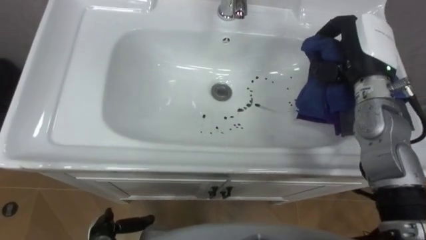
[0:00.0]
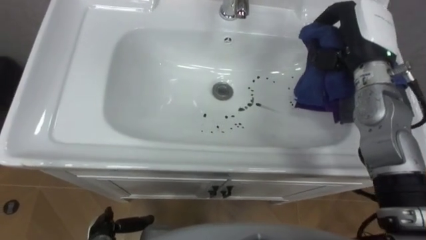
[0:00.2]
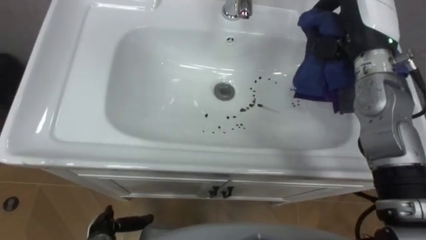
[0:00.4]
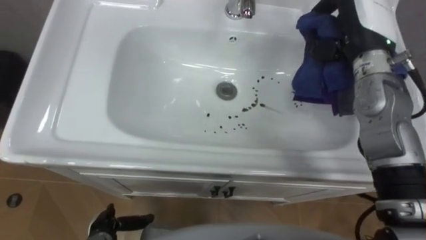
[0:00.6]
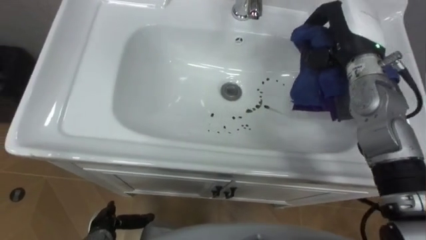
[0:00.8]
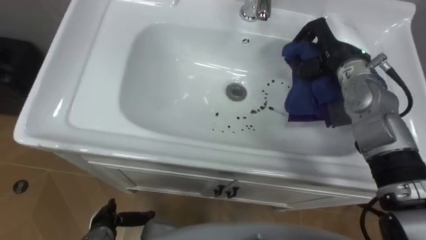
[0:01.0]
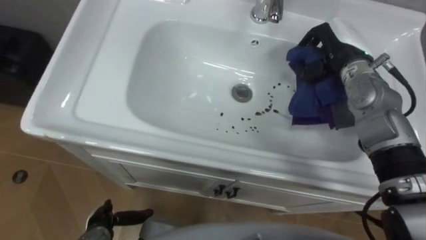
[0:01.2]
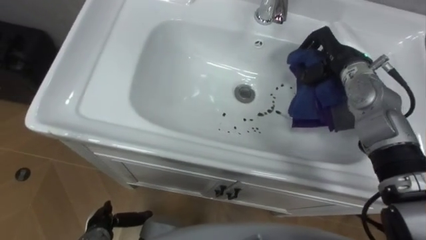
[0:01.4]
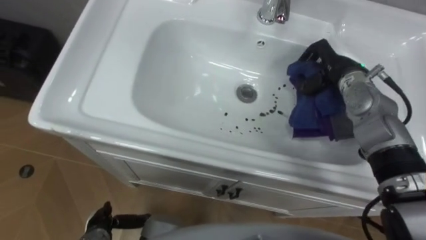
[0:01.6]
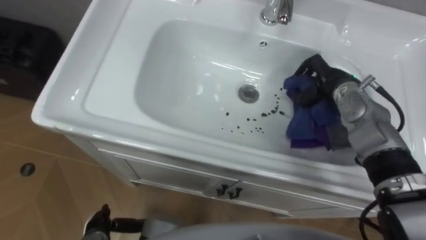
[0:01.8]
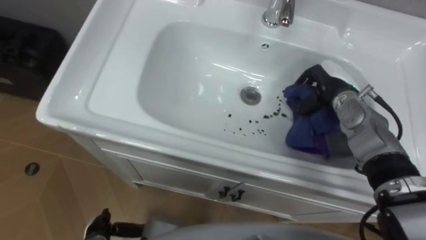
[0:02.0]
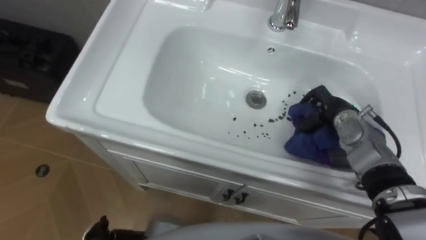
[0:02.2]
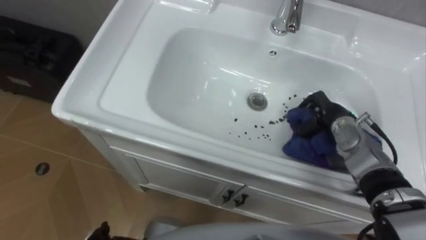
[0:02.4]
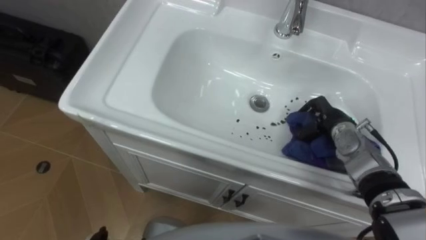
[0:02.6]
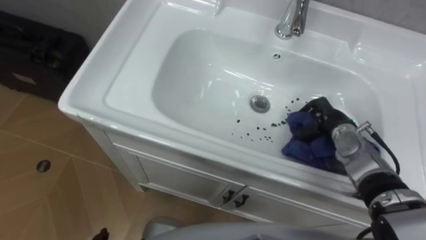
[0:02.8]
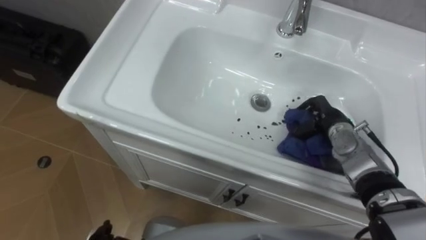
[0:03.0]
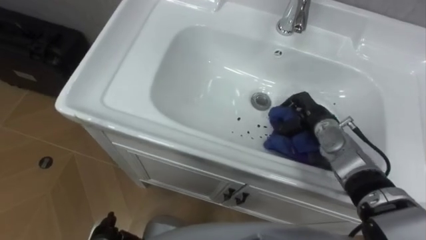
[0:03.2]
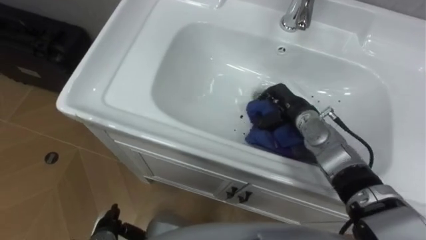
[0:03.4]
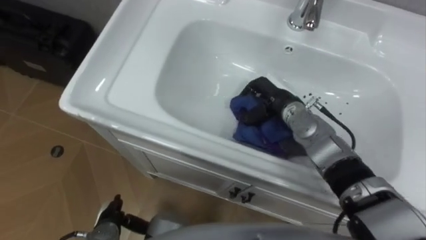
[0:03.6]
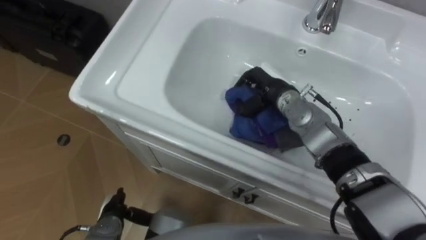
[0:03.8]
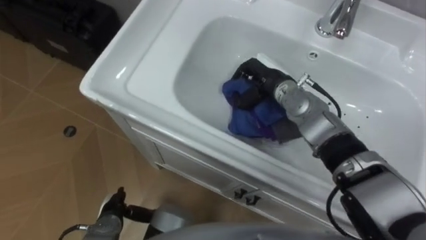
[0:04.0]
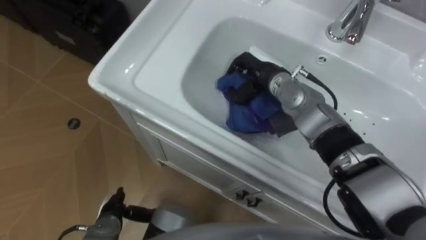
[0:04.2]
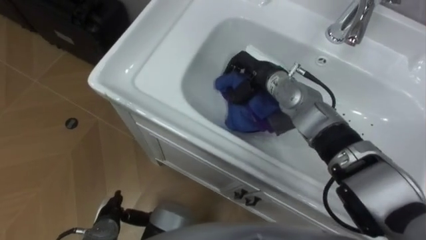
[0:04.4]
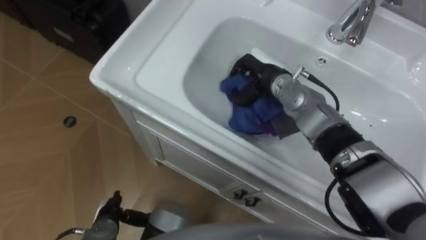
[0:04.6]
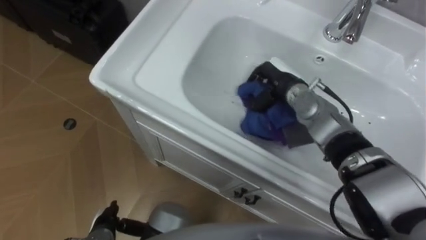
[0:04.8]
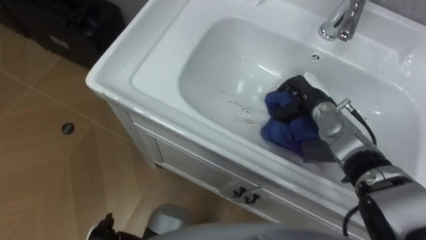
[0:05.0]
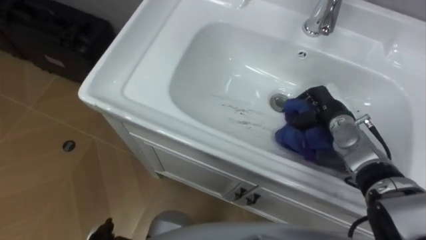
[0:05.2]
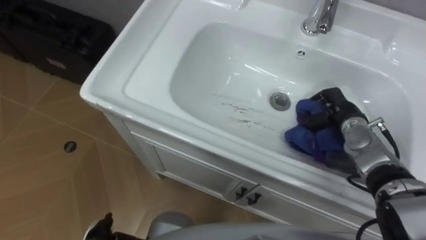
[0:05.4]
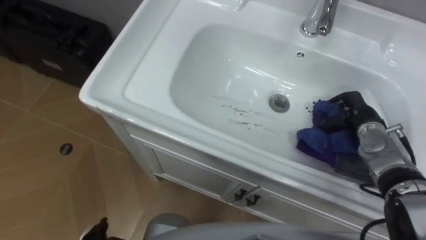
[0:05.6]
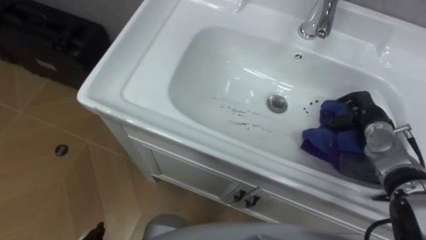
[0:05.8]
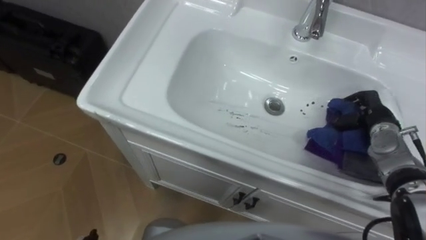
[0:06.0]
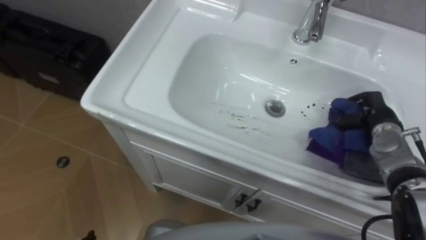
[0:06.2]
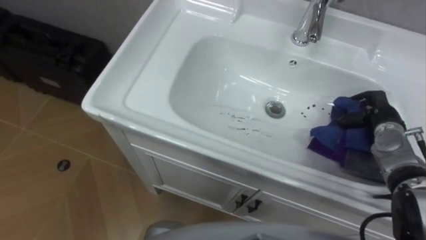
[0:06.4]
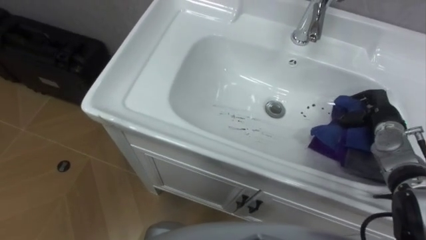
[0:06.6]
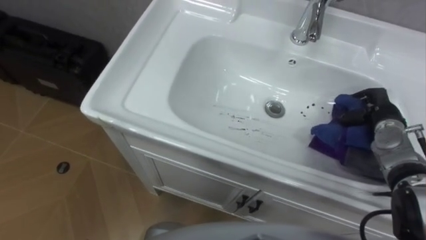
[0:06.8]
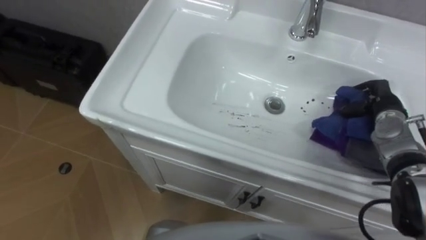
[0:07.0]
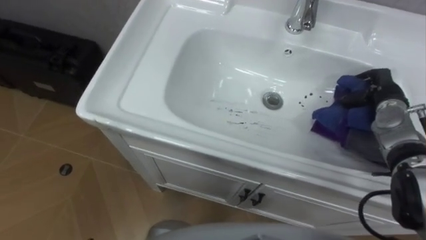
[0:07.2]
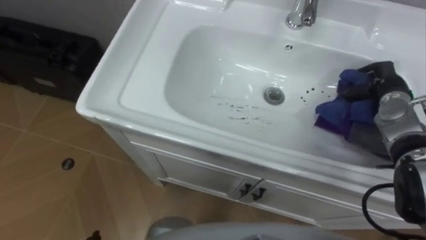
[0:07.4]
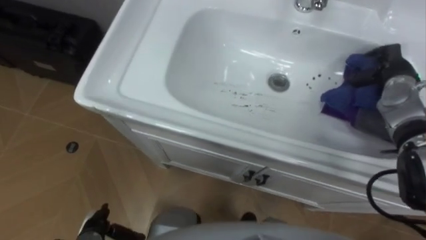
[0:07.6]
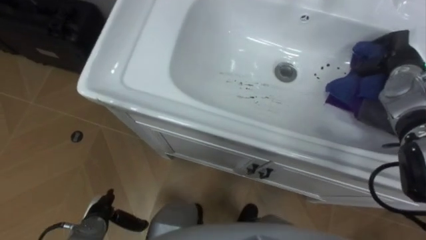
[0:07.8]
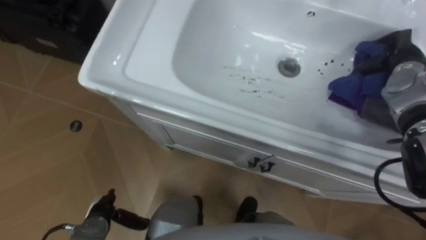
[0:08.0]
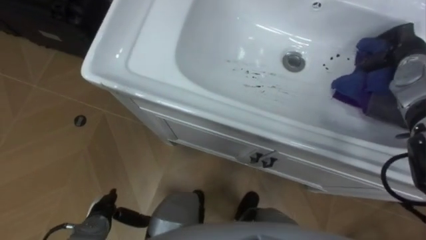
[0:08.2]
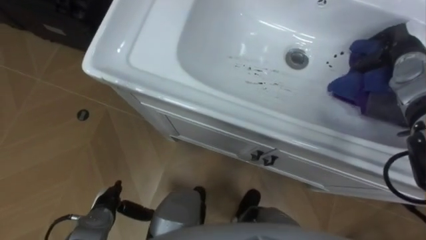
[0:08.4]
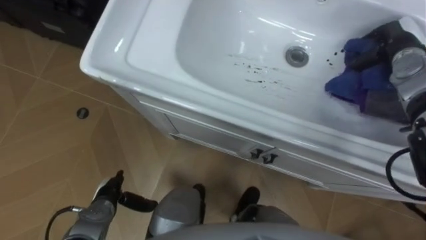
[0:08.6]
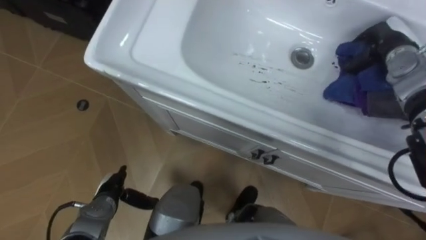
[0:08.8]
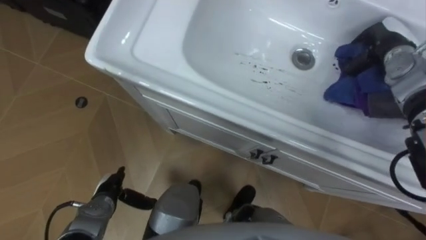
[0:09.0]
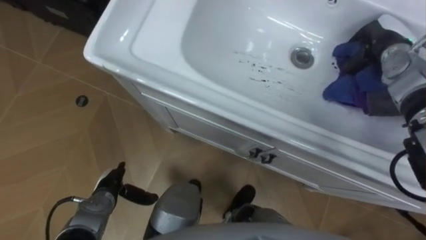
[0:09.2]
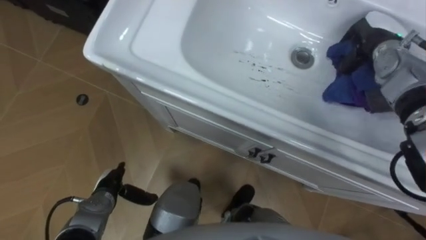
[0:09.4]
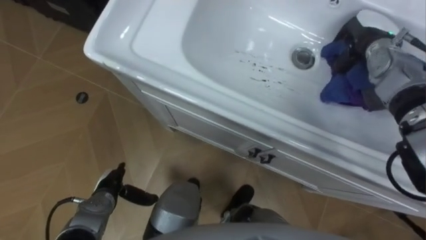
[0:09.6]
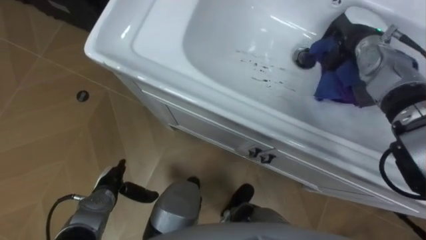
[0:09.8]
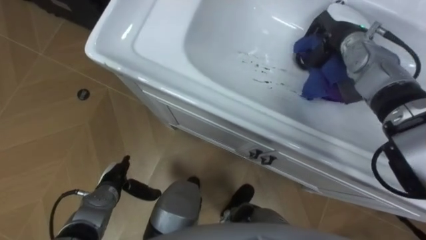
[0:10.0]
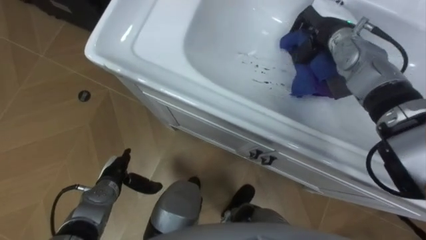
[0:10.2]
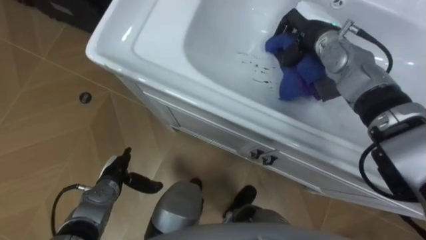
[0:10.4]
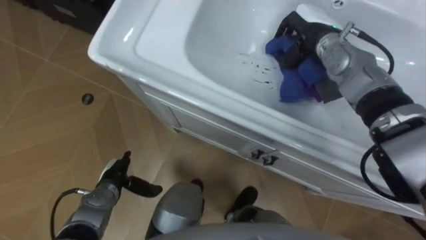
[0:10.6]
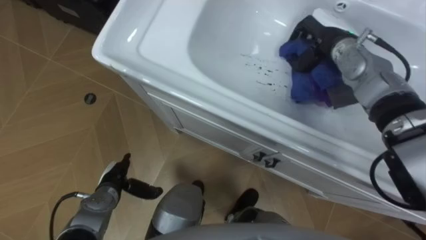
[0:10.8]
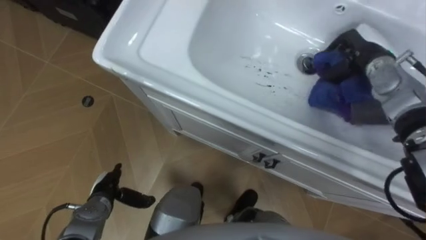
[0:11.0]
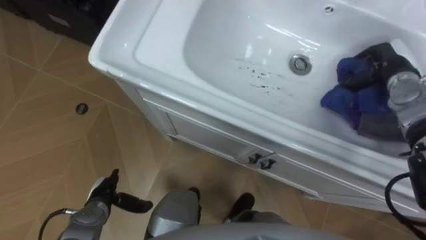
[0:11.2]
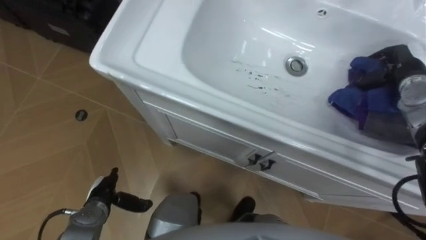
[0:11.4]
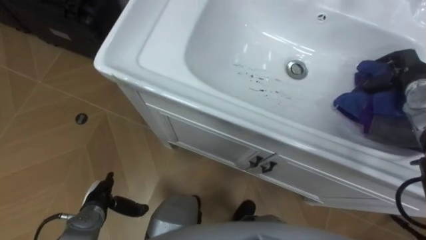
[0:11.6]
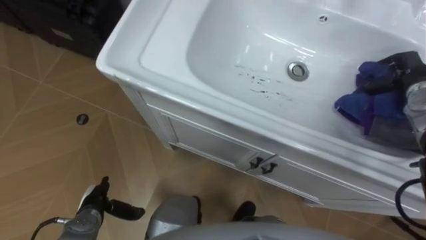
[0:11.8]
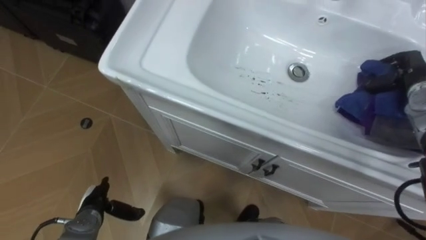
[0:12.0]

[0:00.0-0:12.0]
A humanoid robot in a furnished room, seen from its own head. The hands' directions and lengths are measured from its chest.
Task of the whole recording: Use the cloth on the right to wipe away the black stain in the sink.
0:00.0 to 0:01.6: The right hand travels downward by roughly 5 cm.
0:01.6 to 0:03.0: The right hand is displaced downward and backward by roughly 15 cm.
0:03.0 to 0:04.4: The right hand moves to the left, upward and forward, roughly 20 cm.
0:04.4 to 0:06.0: The right hand travels to the right by about 25 cm.
0:06.0 to 0:07.6: The right hand goes about 10 cm upward and forward.
0:07.6 to 0:09.0: The right hand moves about 5 cm.
0:09.0 to 0:10.4: The right hand heads to the left, covering approximately 15 cm.
0:10.4 to 0:12.0: The right hand shifts roughly 20 cm to the right; the left hand goes roughly 5 cm backward.

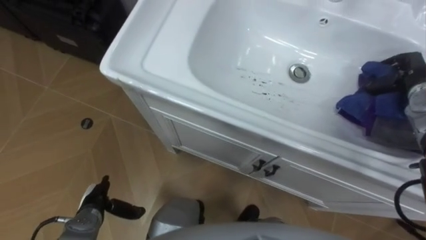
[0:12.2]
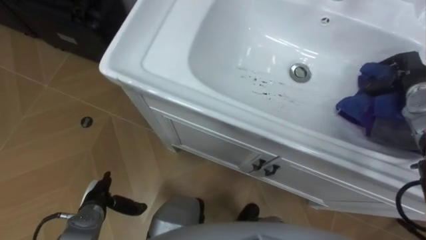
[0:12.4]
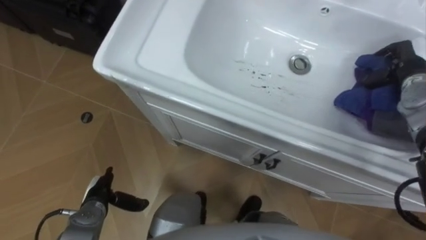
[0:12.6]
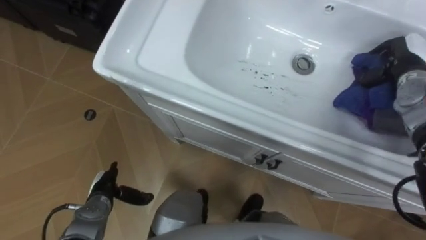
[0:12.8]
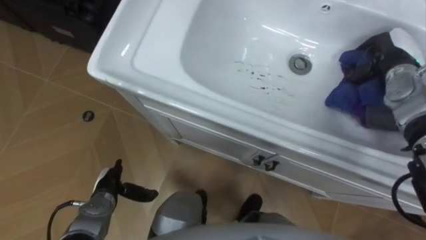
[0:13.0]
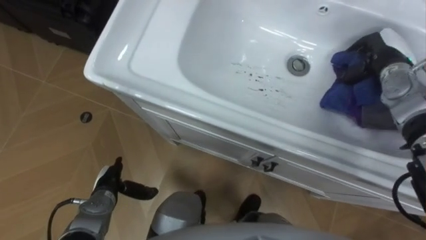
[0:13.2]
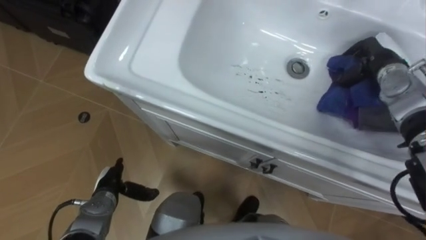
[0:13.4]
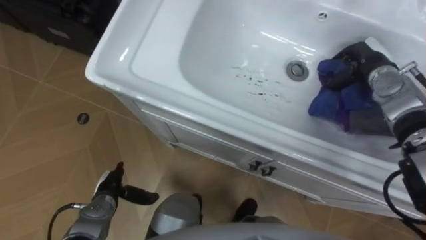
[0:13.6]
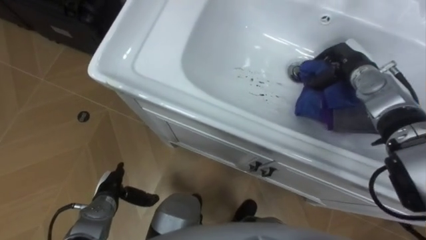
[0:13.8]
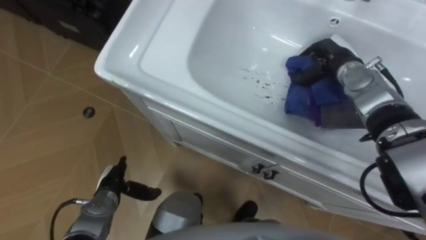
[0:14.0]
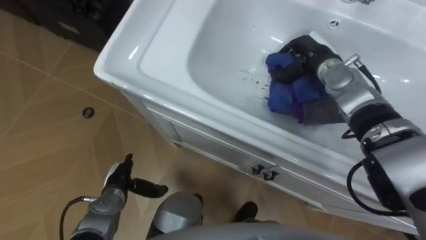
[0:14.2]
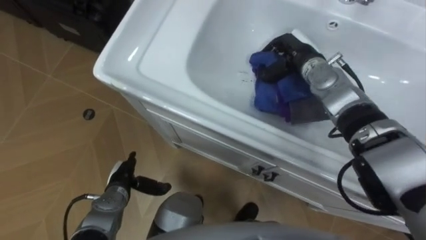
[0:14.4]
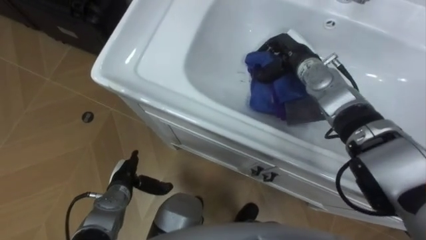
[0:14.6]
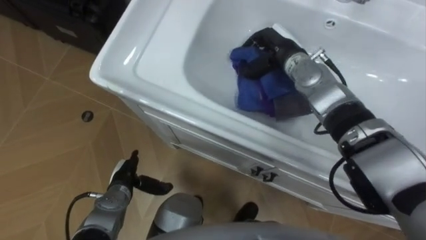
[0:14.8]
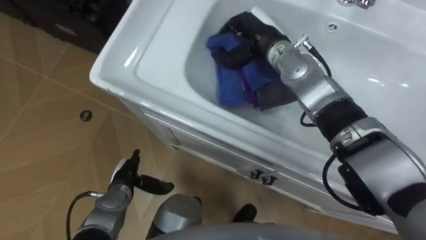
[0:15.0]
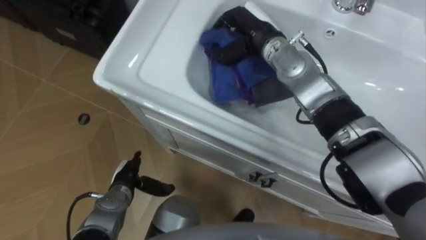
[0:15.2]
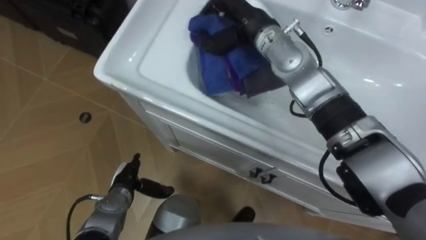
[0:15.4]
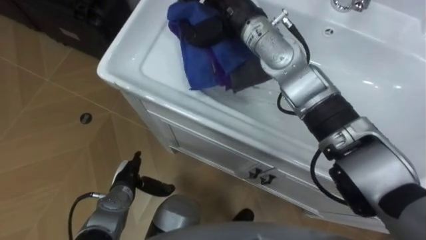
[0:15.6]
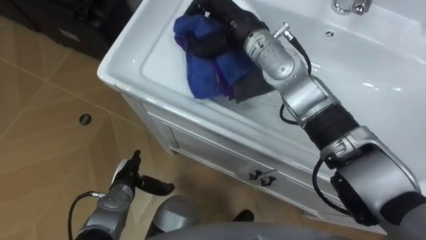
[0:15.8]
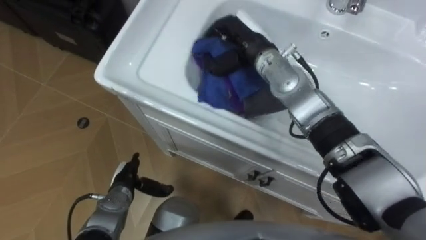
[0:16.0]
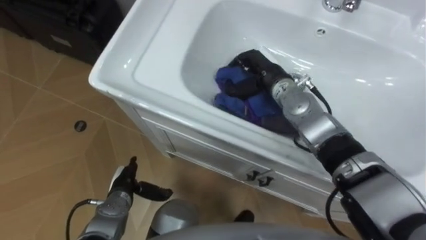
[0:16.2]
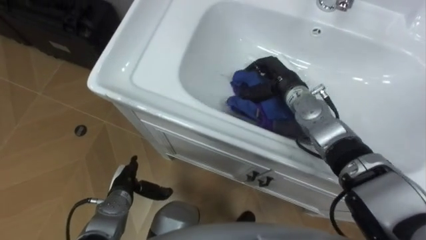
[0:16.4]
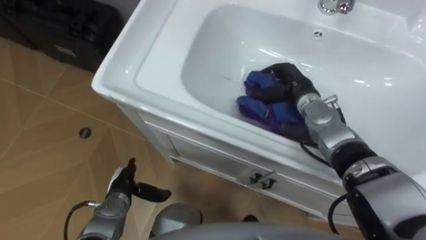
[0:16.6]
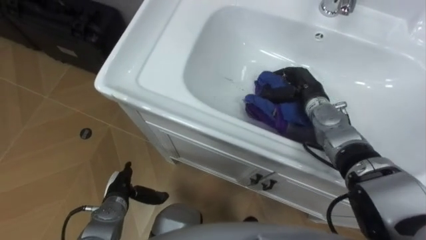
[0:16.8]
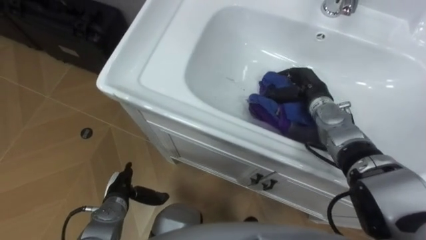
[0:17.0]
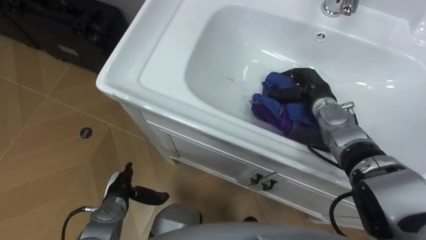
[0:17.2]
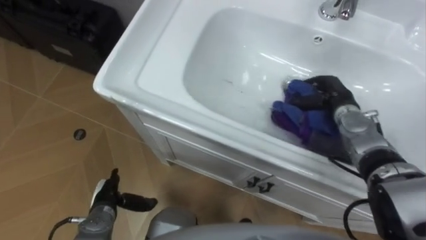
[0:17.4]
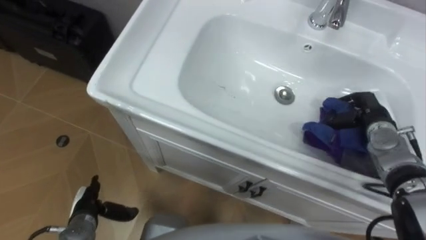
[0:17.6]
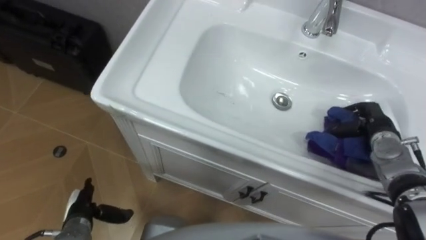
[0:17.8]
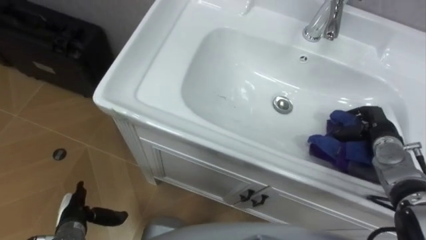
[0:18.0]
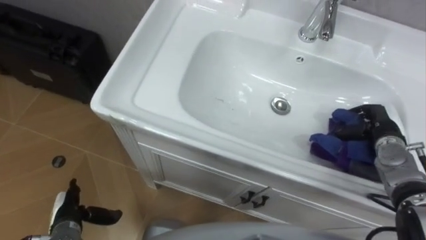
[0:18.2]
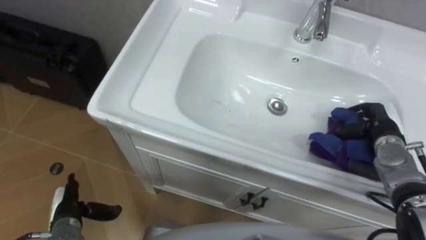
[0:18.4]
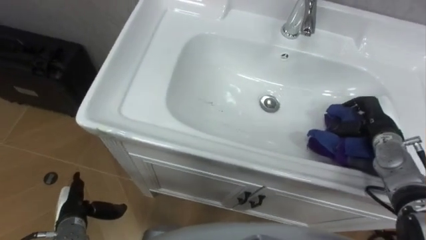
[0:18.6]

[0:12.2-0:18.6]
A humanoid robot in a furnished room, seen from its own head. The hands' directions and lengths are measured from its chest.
Task of the whole recording: Use the cloth on the right to wipe away the black stain in the sink.
0:12.2 to 0:13.8: The right hand travels to the left by approximately 10 cm.
0:13.8 to 0:15.4: The right hand heads to the left and upward, covering some 25 cm.
0:15.4 to 0:17.0: The right hand goes roughly 25 cm downward and to the right.
0:17.0 to 0:18.6: The left hand is displaced to the left by roughly 10 cm. Meanwhile the right hand moves to the right and backward, about 15 cm.
